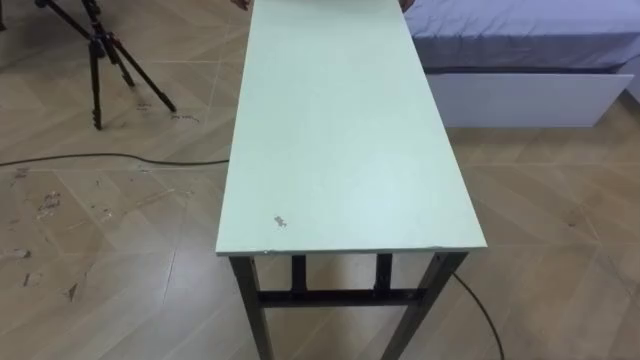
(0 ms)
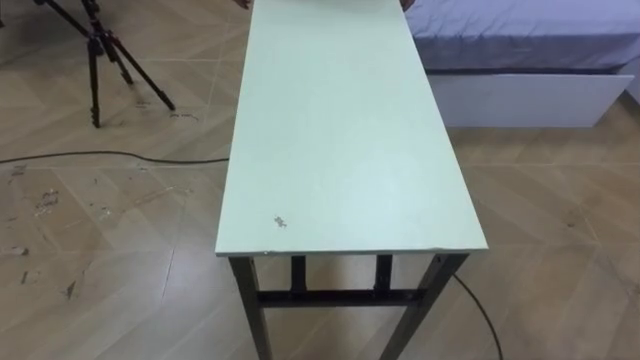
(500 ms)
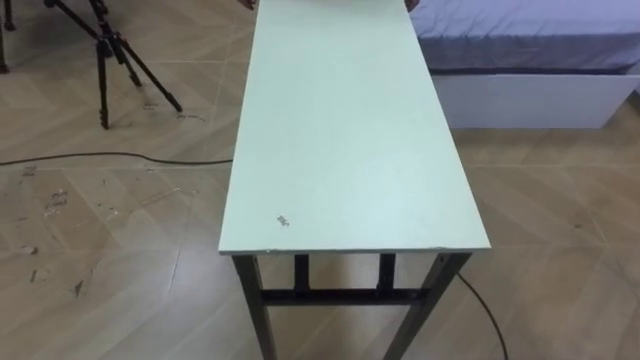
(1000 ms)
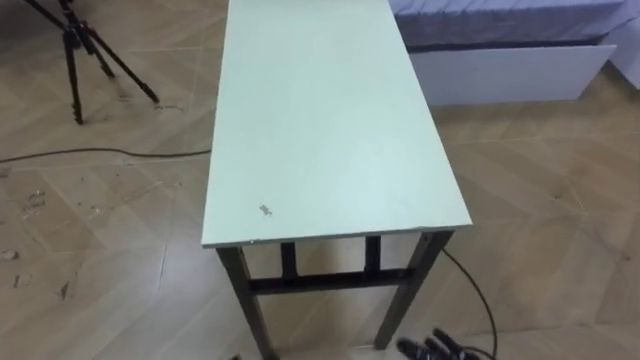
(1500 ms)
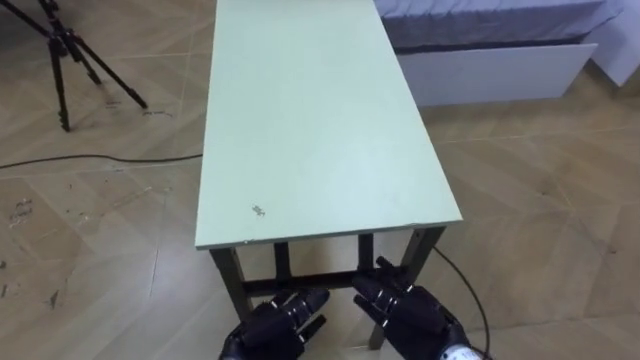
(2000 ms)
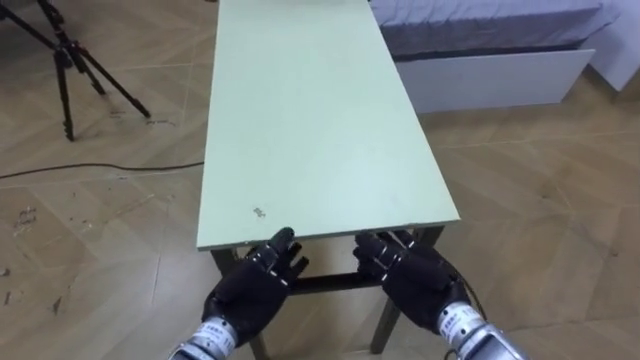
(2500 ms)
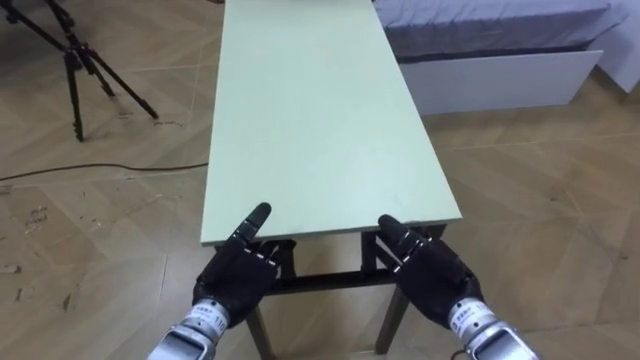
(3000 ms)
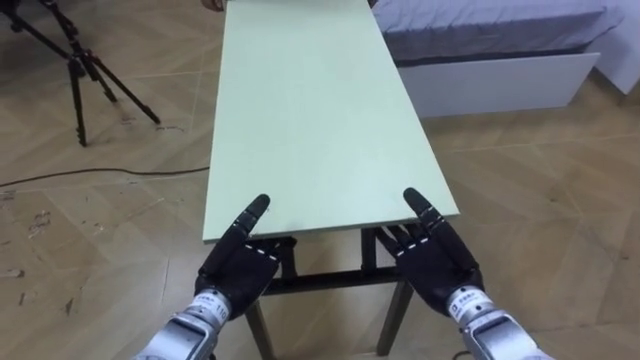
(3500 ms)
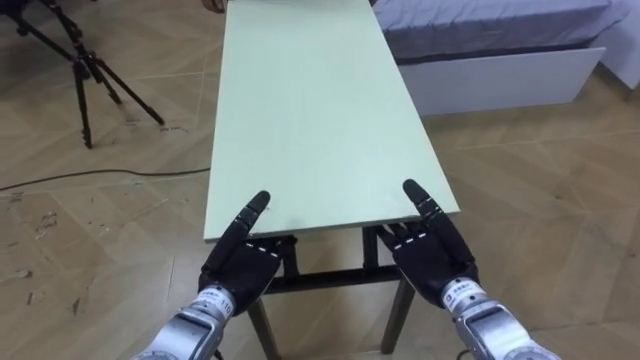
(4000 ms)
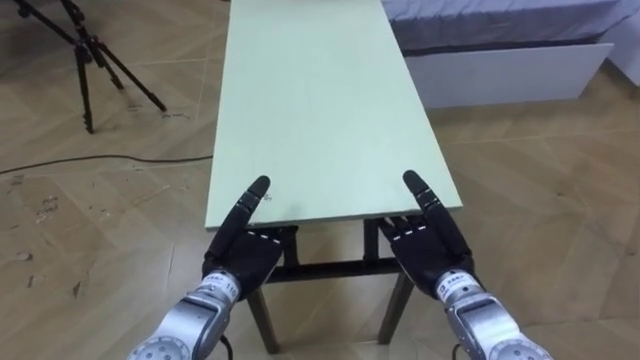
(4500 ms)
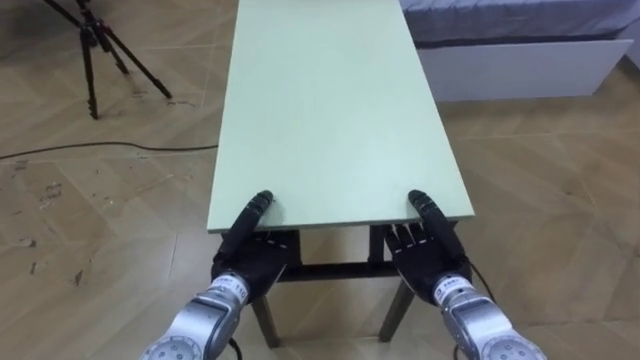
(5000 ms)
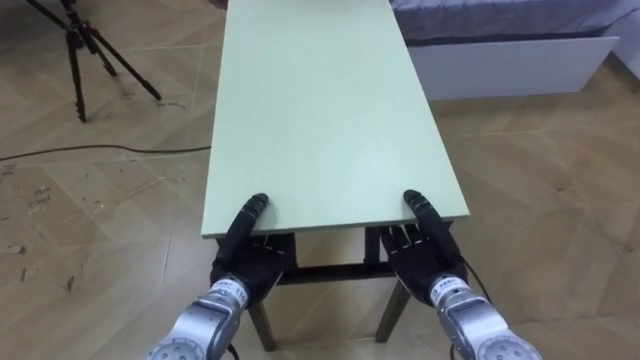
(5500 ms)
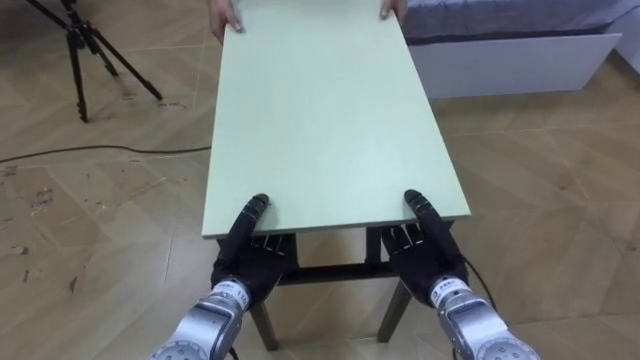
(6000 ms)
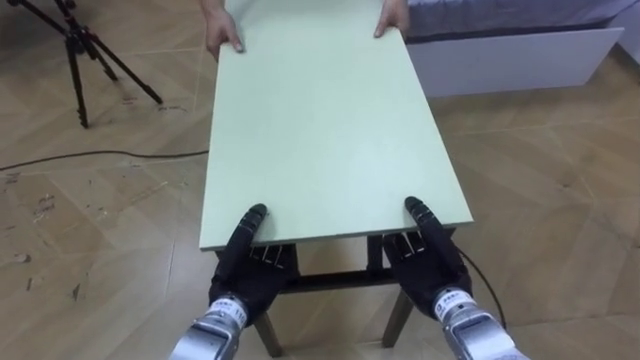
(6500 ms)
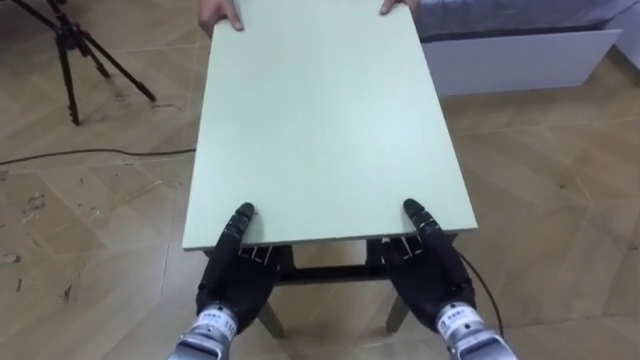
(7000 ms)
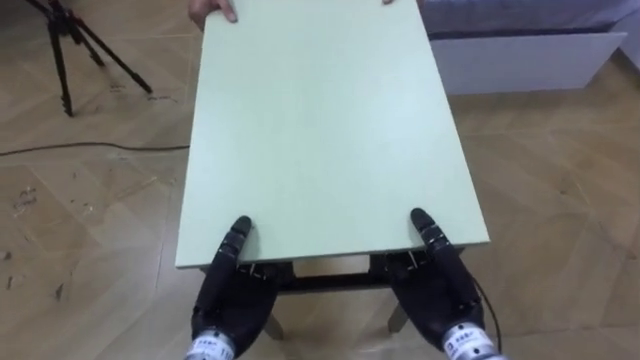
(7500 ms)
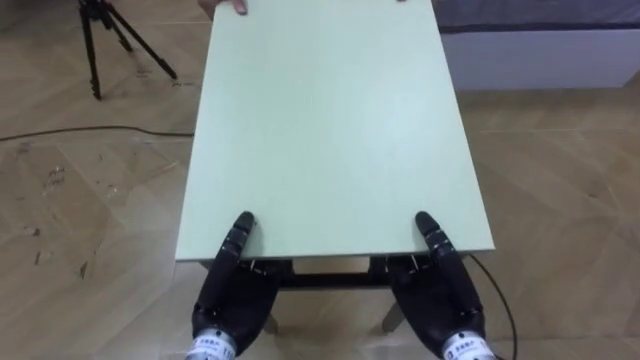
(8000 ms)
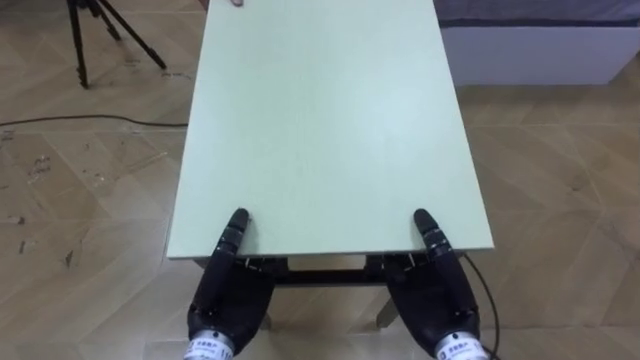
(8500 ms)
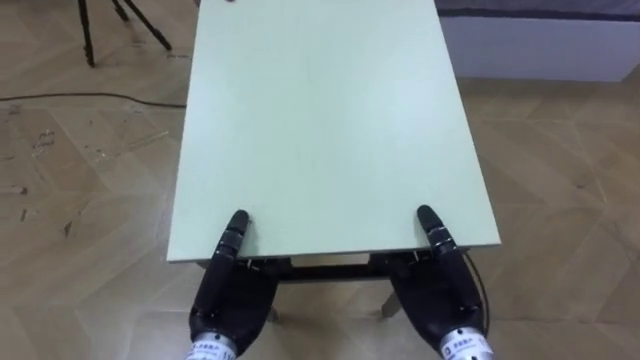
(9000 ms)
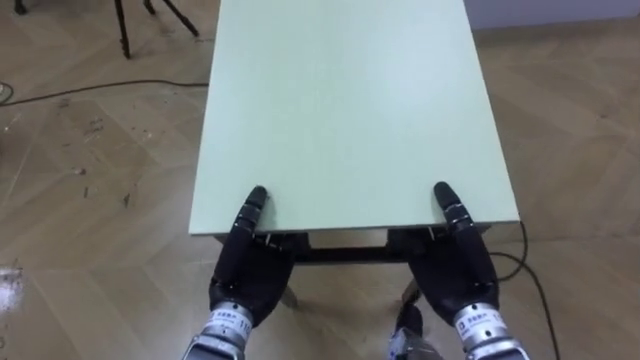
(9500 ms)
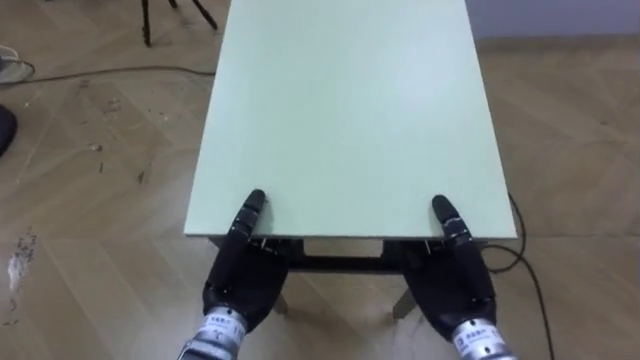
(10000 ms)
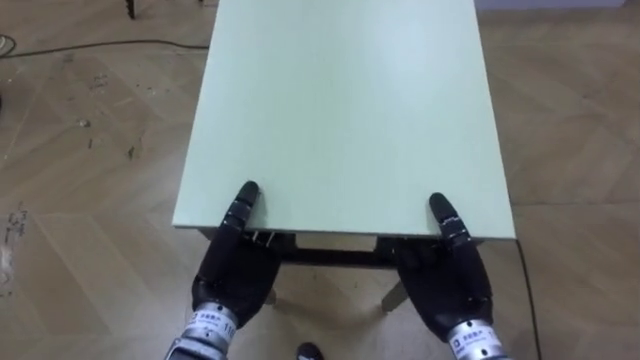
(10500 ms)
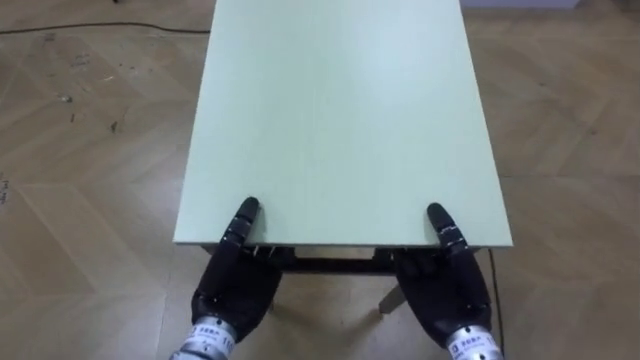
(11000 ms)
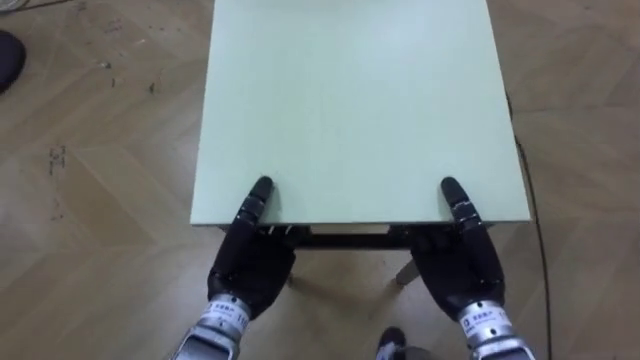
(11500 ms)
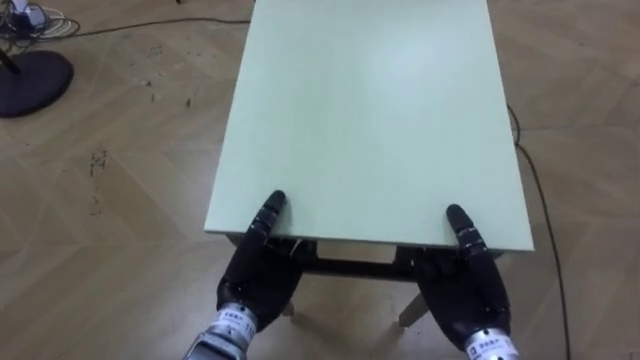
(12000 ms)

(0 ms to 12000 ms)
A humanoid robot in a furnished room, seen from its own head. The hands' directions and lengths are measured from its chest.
Task of the whole recording: Move the table to the back left with someone.
2000 ms - 4000 ms: Both hands move forward, approximately 5 cm.
4000 ms - 6000 ms: The left hand closes its fingers. Meanwhile the right hand closes.
6000 ms - 8000 ms: Both hands travel together backward, some 5 cm.

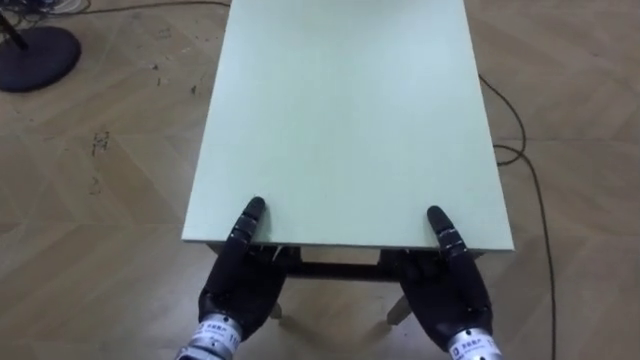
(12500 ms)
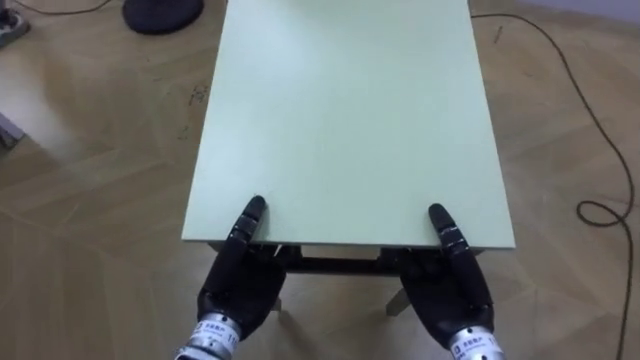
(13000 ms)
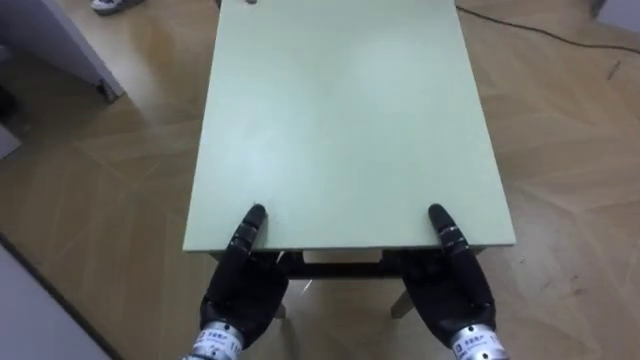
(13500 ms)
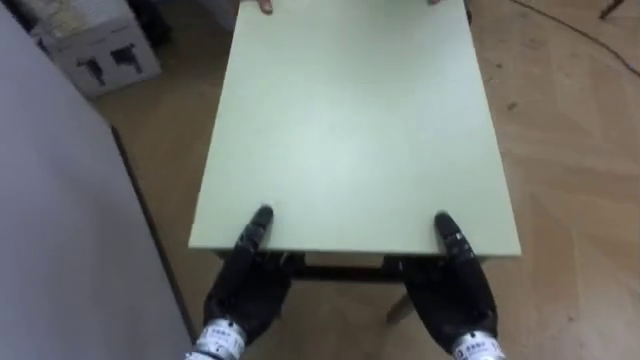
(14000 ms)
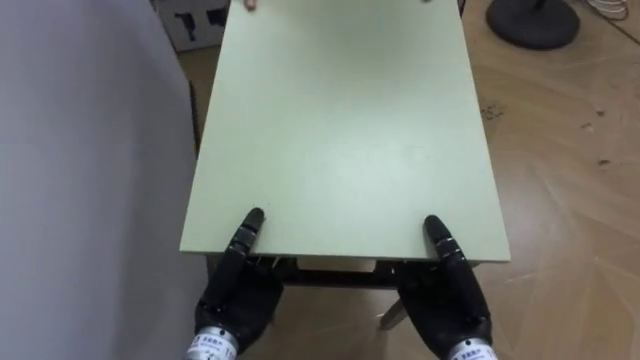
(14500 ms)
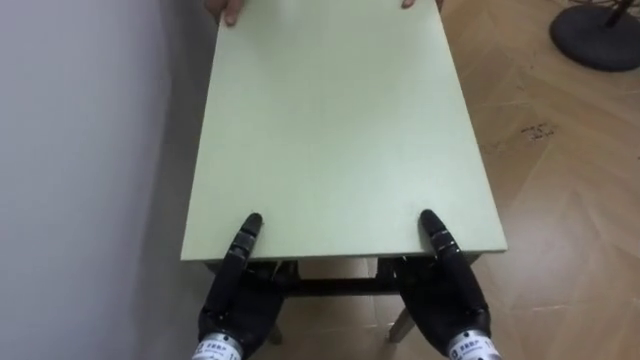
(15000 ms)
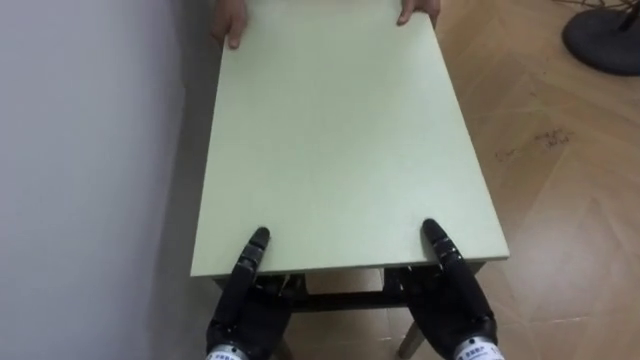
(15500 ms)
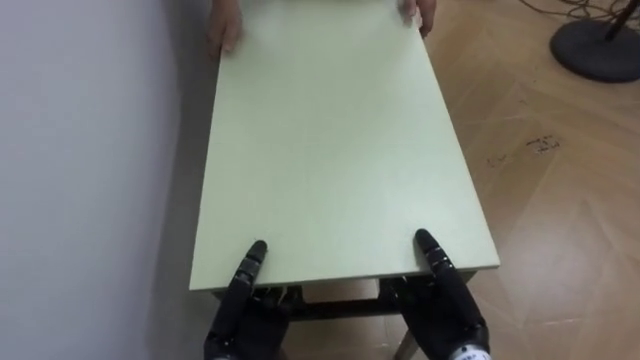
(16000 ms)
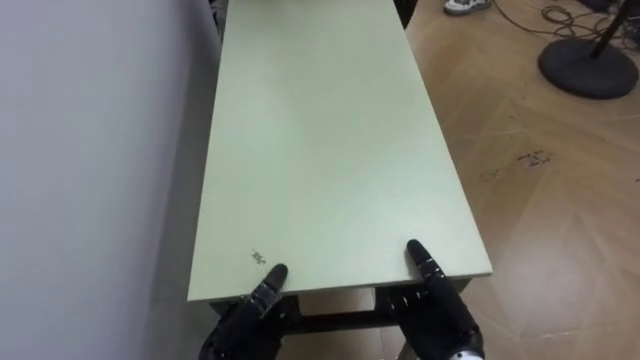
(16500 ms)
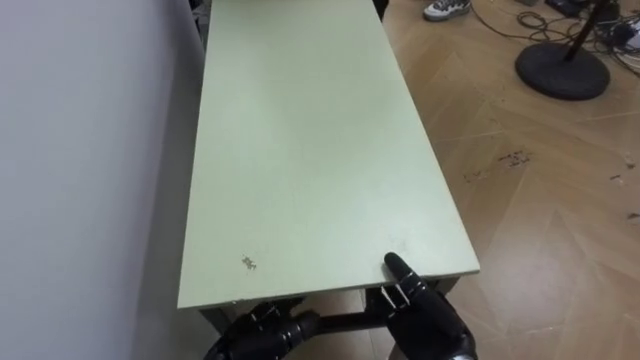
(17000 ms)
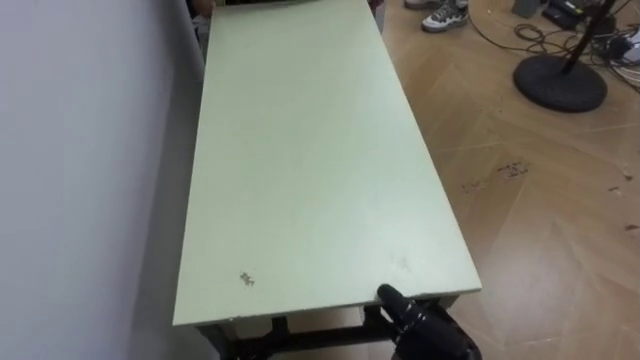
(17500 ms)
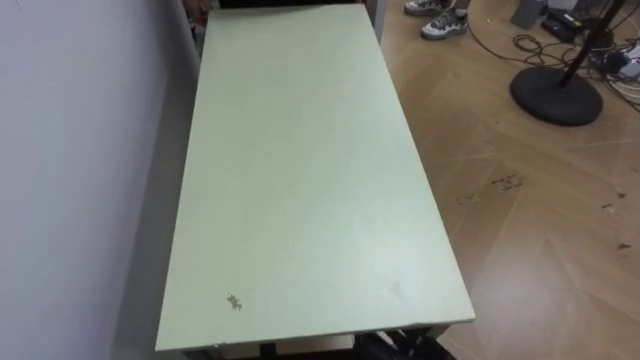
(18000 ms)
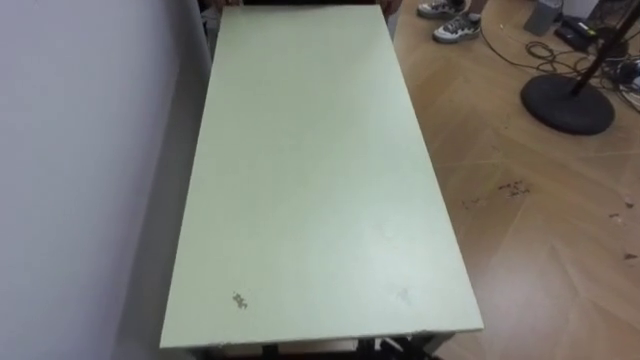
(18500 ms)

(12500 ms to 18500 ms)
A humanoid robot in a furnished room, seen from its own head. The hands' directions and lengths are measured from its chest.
Task of the whole recording: Move the table to the back left with someone.
12500 ms - 14500 ms: The robot faces approximately 70 degrees further to its left.
14500 ms - 16500 ms: The left hand travels downward by roughly 5 cm.

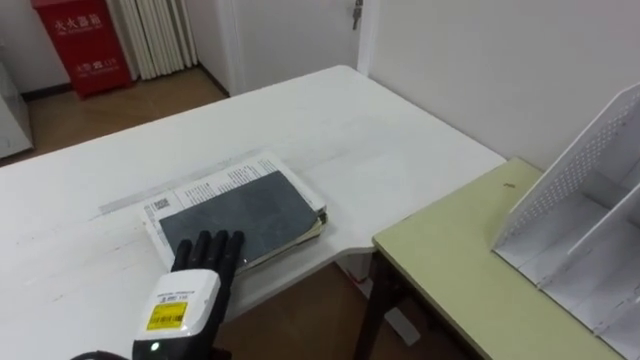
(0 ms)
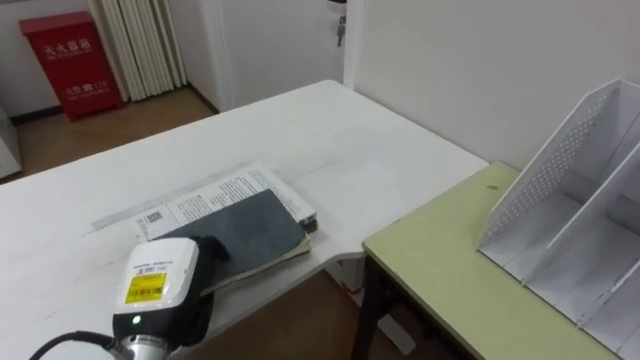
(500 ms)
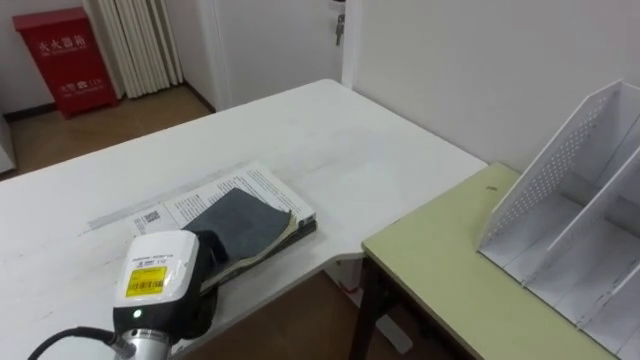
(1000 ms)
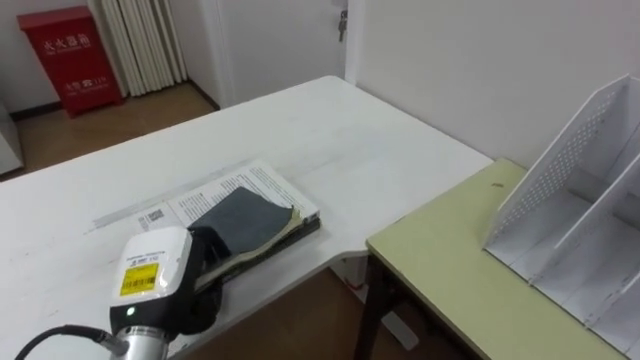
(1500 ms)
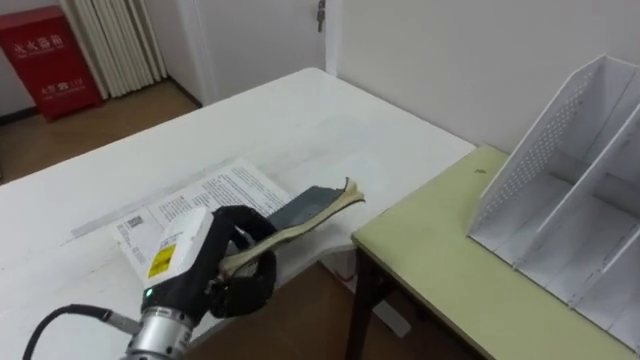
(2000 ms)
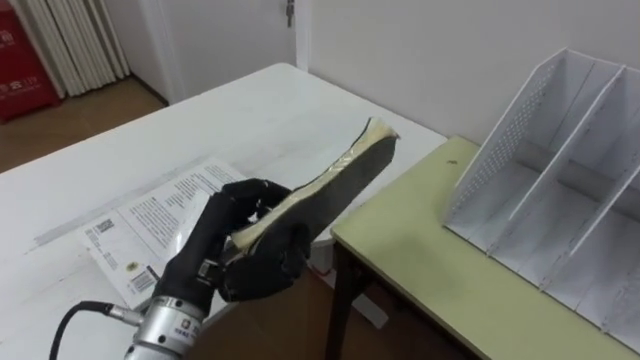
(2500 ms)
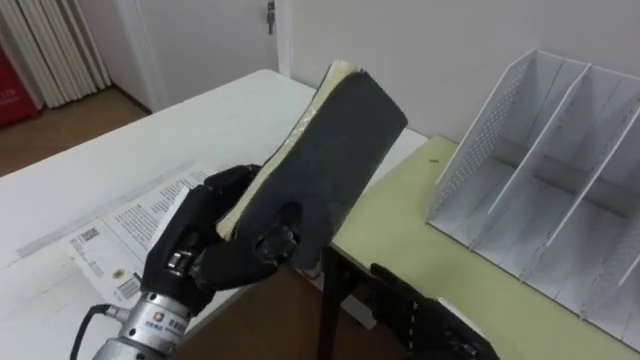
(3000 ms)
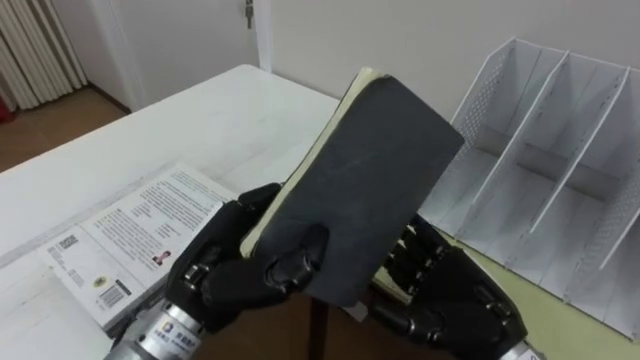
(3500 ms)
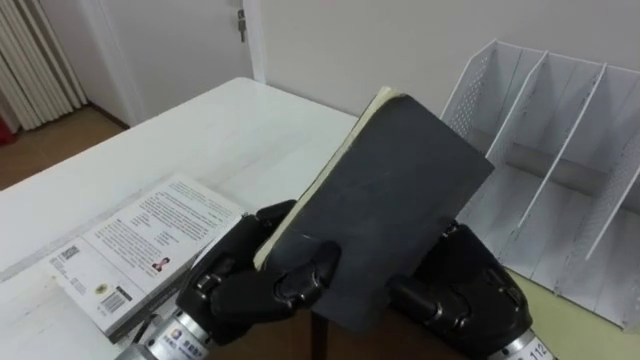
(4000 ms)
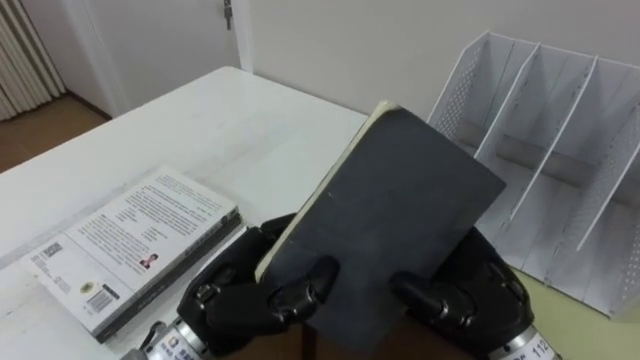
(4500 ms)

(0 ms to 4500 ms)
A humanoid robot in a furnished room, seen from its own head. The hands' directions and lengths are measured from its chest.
Task of the whole recording: Put the books on the table onto the bookshelf.
0 ms - 2000 ms: The left hand goes about 5 cm upward, and closes its fingers.
2000 ms - 4500 ms: The left hand goes some 5 cm to the right.
